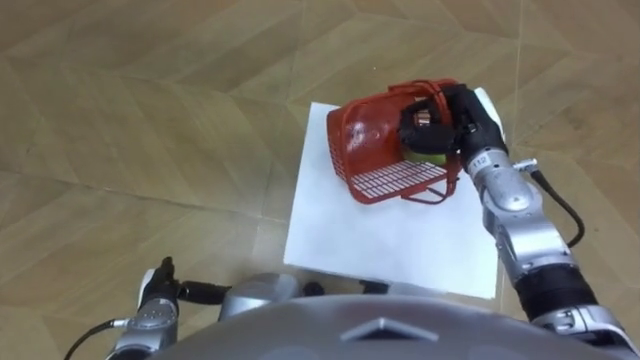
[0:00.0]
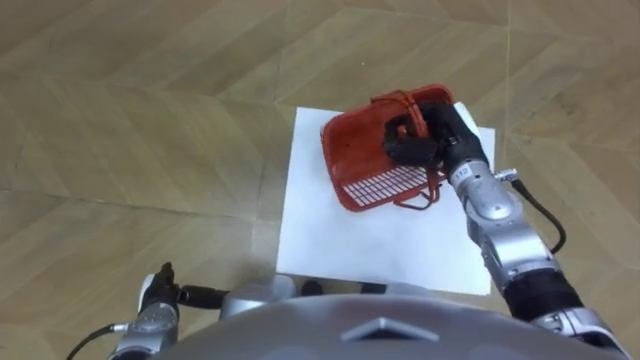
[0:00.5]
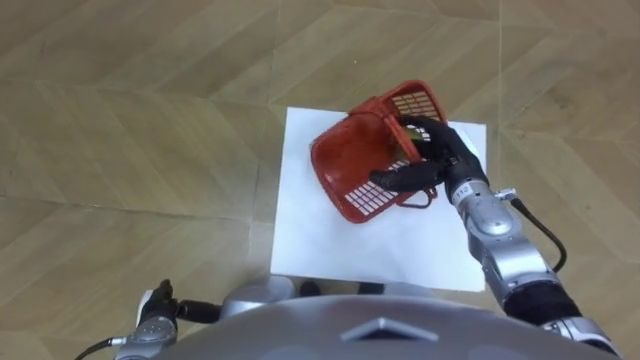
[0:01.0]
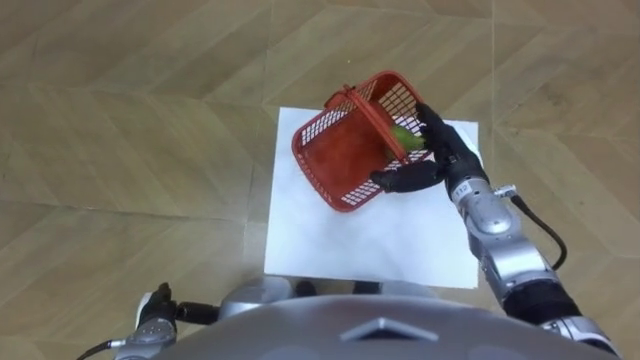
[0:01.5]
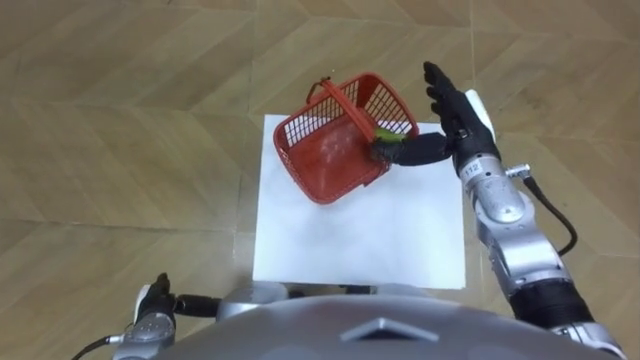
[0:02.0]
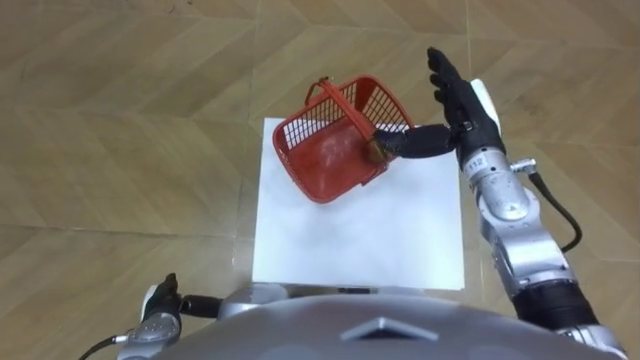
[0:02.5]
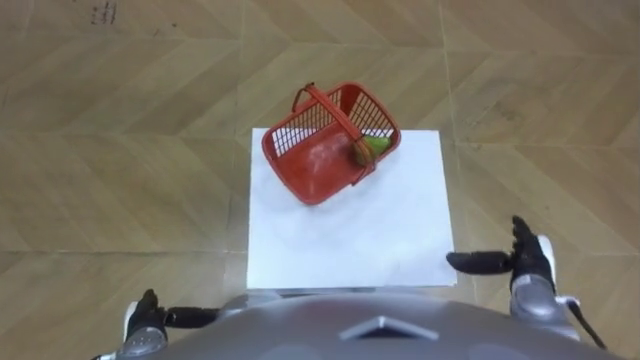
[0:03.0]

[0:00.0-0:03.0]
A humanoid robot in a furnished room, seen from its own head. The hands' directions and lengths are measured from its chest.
Task of the whole recording: Pick up the fruit basket from the floor and place it on the cabinet.
0:00.0 to 0:01.5: The right hand moves approximately 5 cm, and opens its fingers.
0:01.5 to 0:03.0: The right hand heads backward, to the right and downward, covering roughly 20 cm.

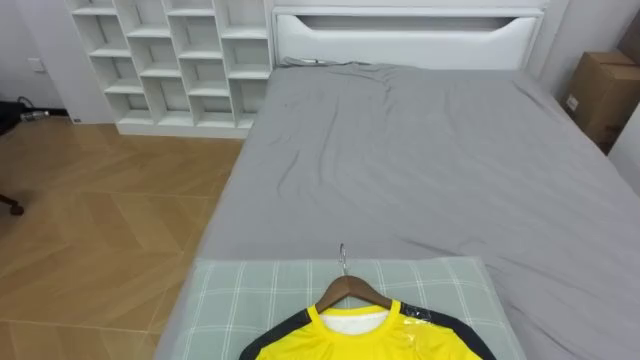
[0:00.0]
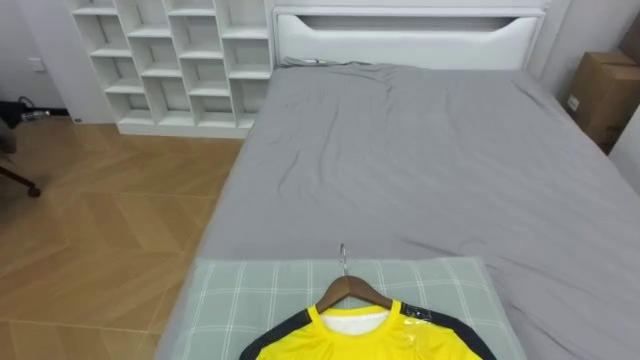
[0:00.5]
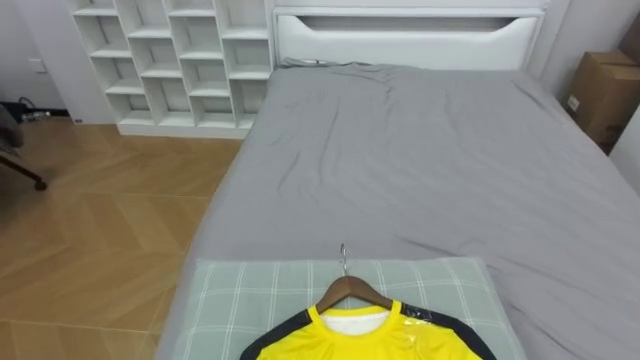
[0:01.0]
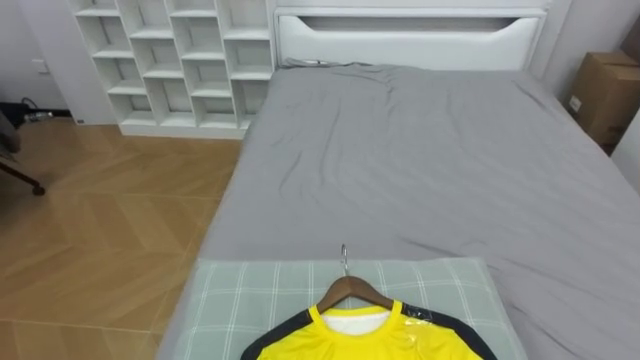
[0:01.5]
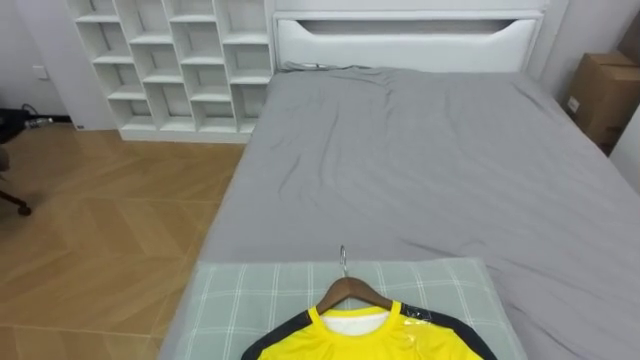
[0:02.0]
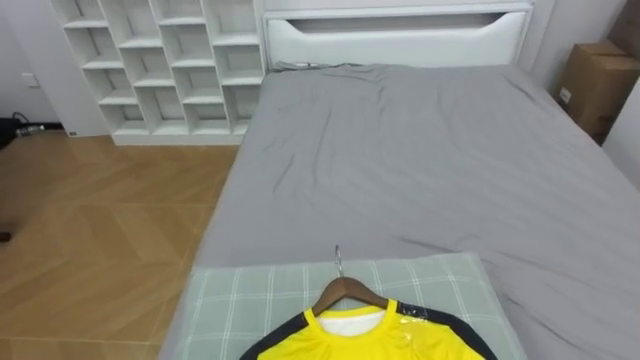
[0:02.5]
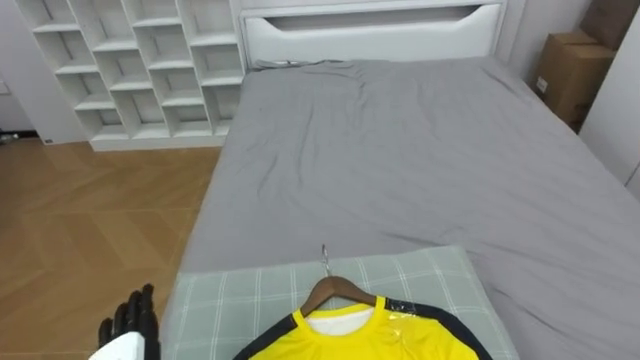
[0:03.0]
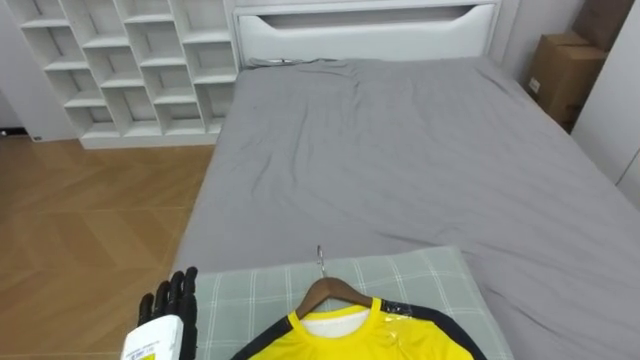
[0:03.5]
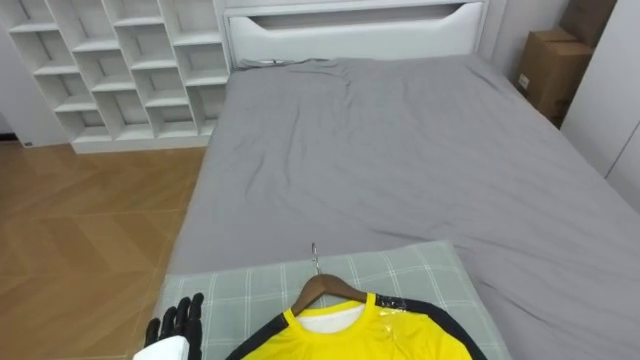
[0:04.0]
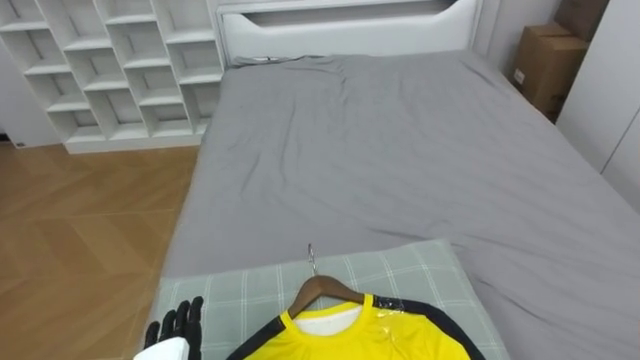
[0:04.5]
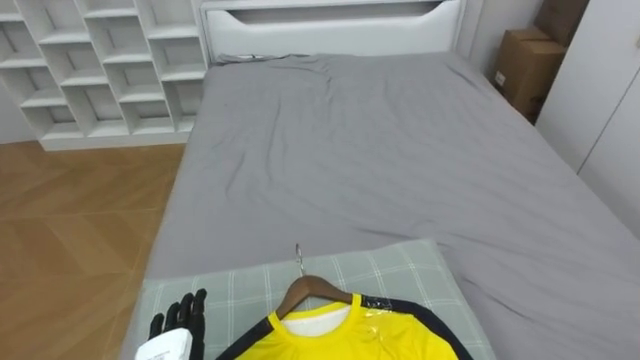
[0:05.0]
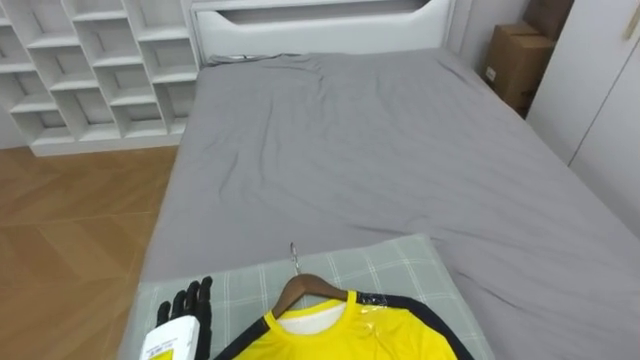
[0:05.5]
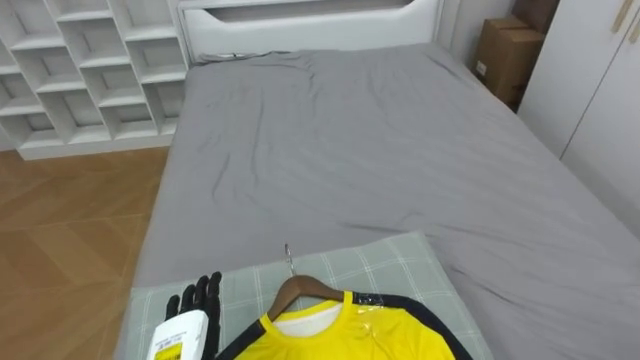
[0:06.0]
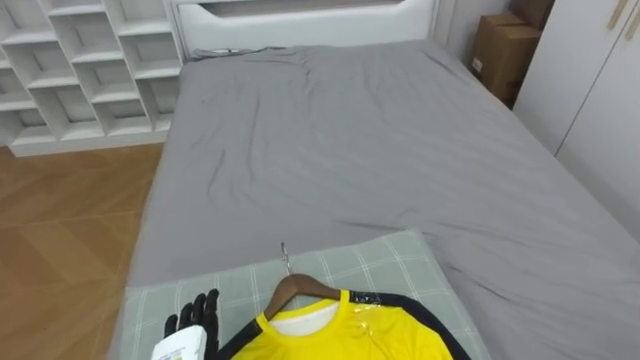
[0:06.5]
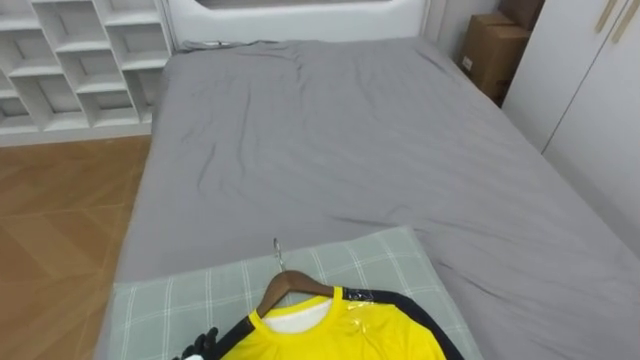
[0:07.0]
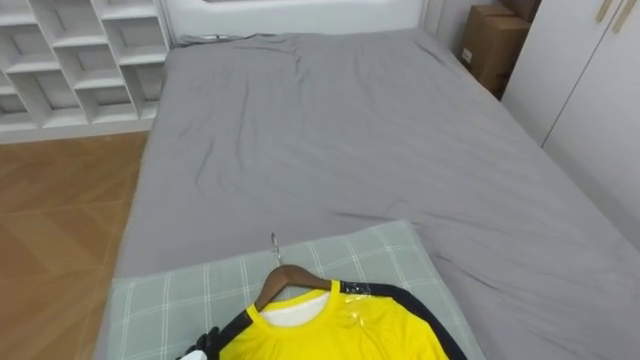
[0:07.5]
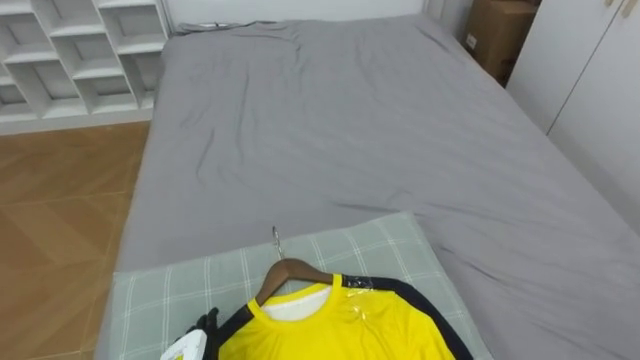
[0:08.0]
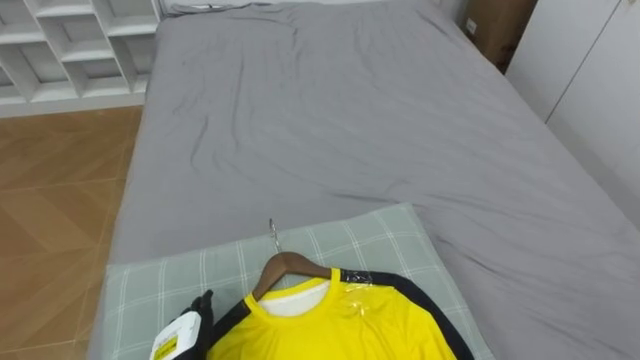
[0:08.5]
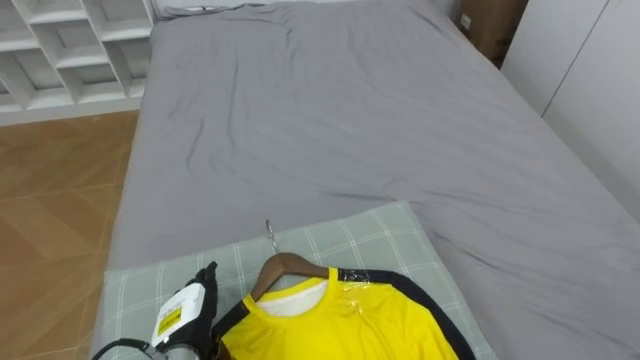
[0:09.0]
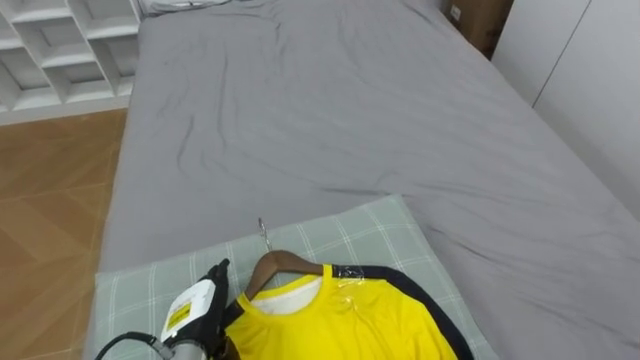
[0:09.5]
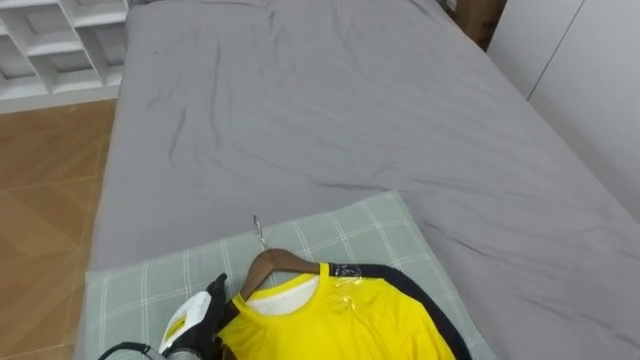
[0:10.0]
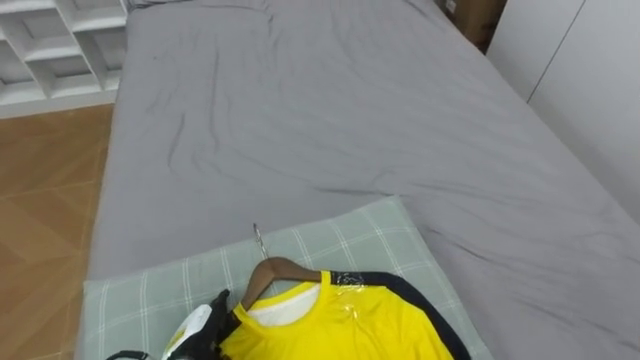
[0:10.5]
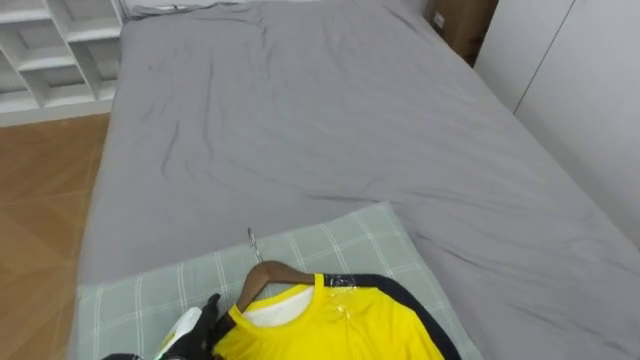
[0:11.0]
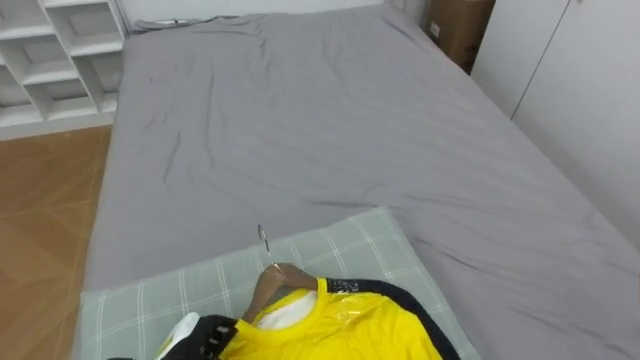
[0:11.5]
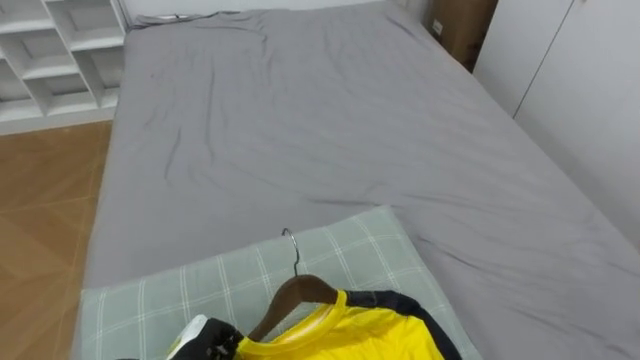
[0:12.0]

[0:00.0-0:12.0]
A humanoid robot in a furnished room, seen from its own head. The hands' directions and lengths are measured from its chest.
Task of the whole recording: Pick up the yellow shirt on the bed and hang it on the clothes rack on the right.
0:10.0 to 0:12.0: The left hand closes its fingers.

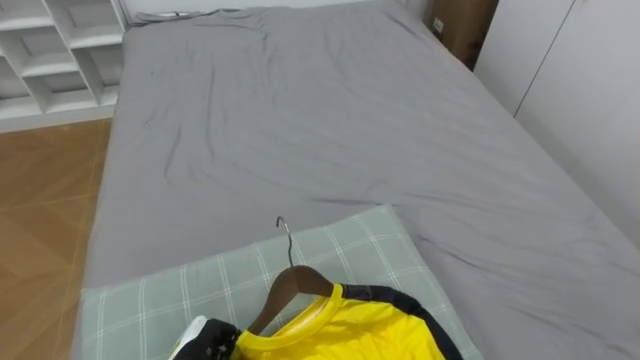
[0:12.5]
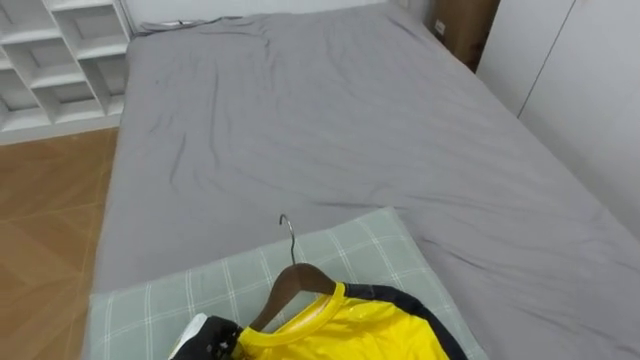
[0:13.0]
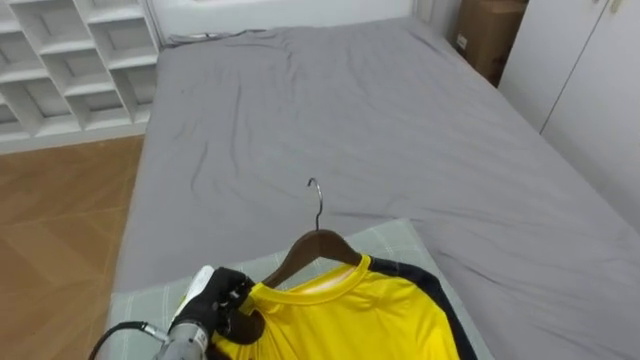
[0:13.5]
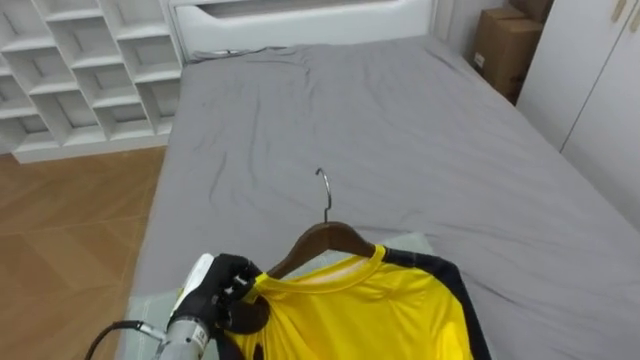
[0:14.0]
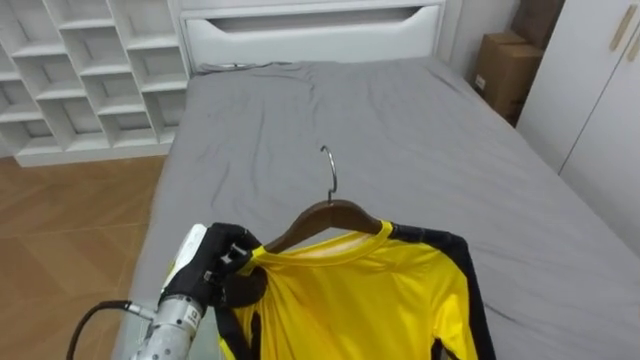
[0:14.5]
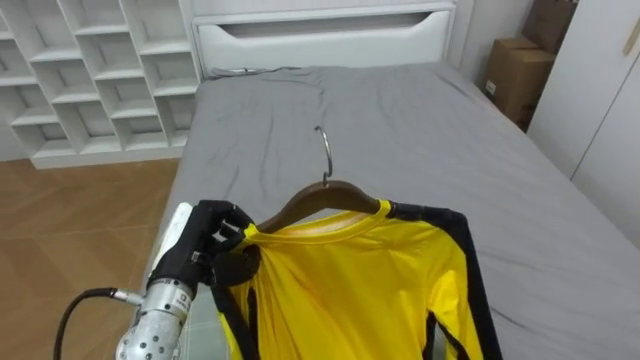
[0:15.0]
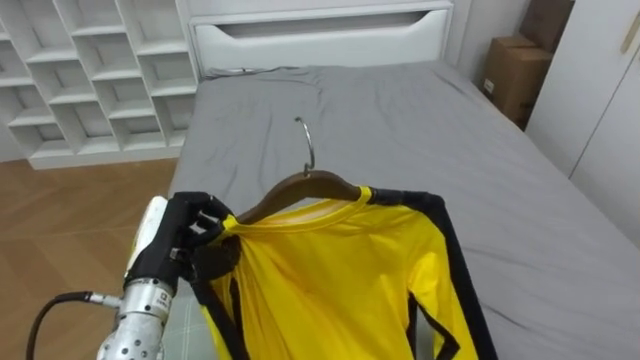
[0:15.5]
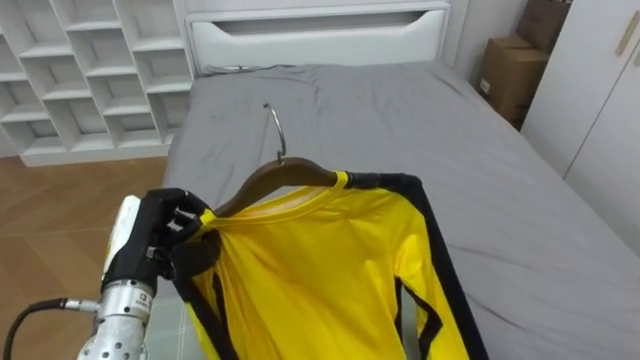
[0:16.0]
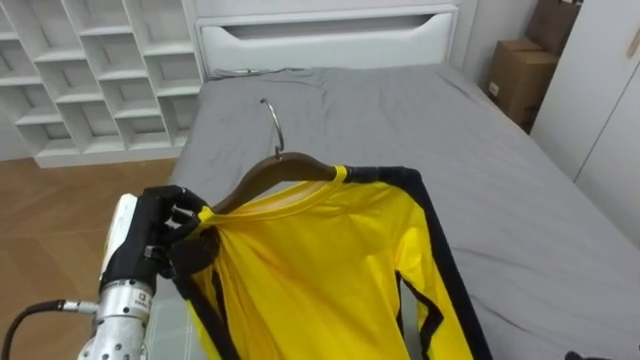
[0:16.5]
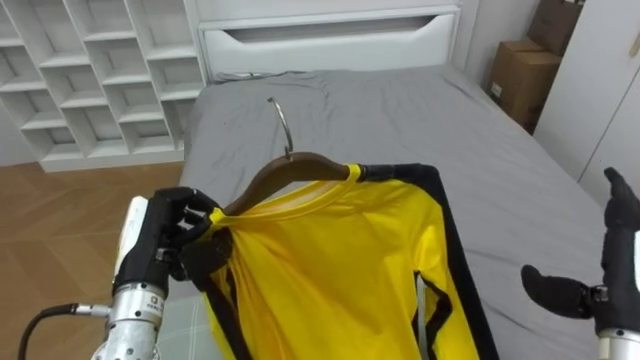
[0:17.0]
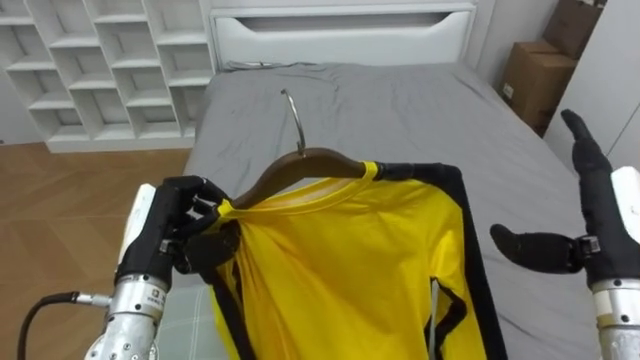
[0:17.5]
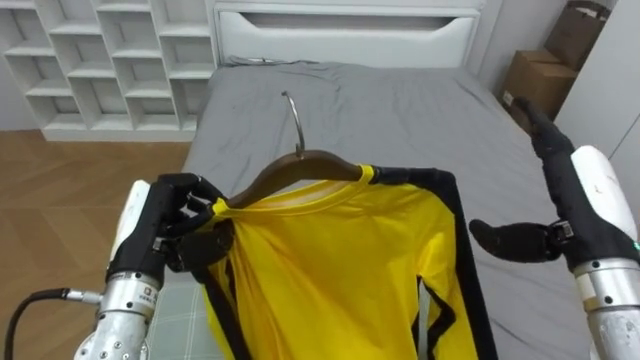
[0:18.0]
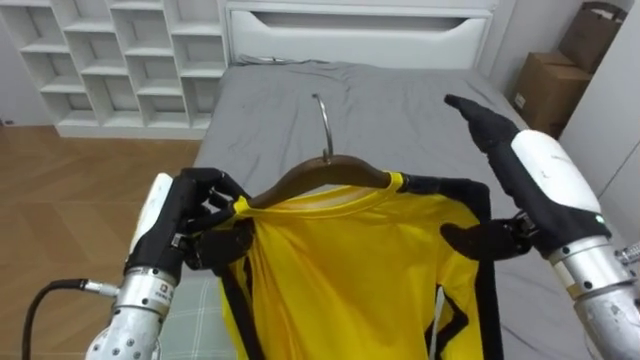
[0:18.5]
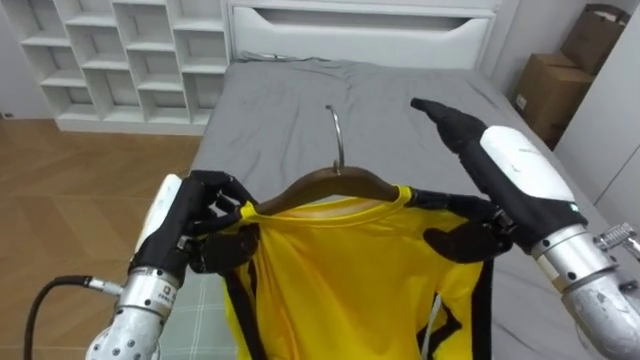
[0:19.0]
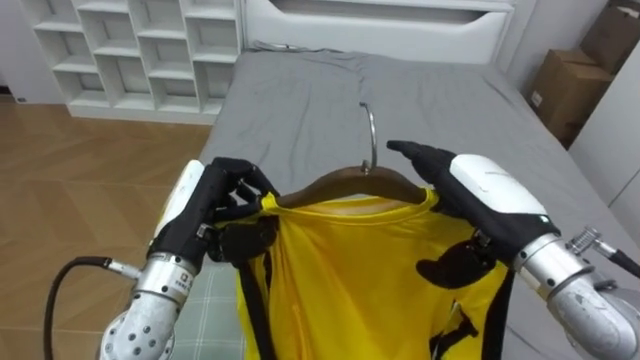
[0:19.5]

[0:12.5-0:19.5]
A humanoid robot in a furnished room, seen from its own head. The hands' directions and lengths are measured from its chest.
Task of the whole recording: Pick up the yellow shirt on the bed and hang it on the clothes rack on the right.
0:12.5 to 0:14.5: The left hand is displaced upward by roughly 15 cm.
0:14.5 to 0:16.0: The left hand is displaced to the left and upward by roughly 10 cm.
0:17.5 to 0:19.5: The right hand travels to the left by some 10 cm; the left hand moves roughly 5 cm.
